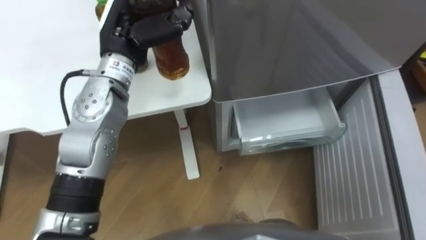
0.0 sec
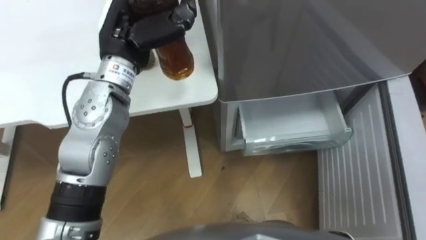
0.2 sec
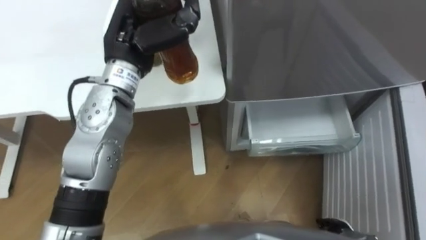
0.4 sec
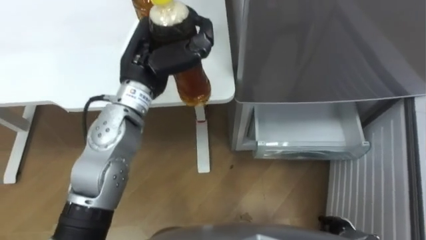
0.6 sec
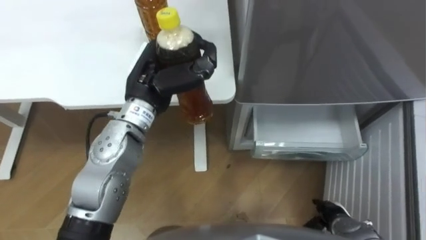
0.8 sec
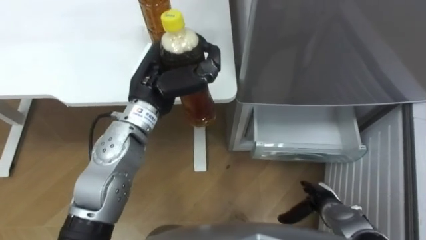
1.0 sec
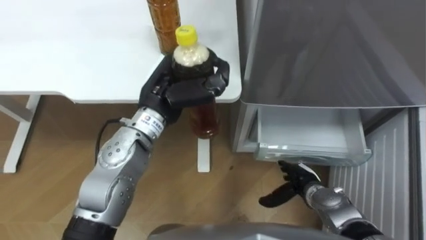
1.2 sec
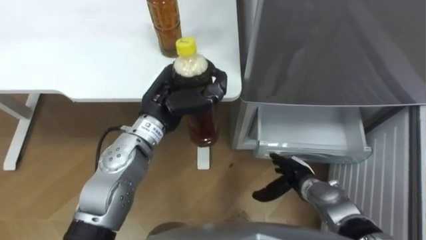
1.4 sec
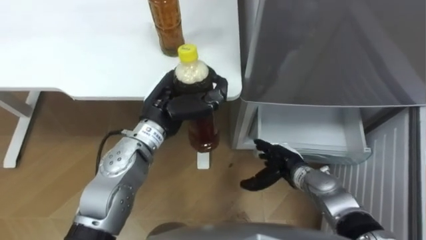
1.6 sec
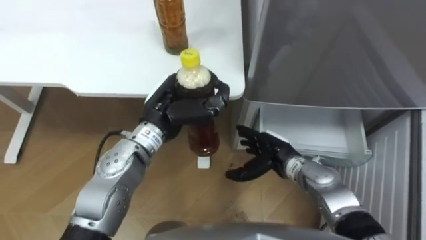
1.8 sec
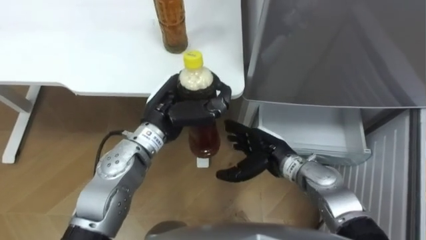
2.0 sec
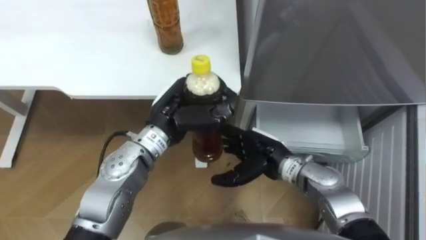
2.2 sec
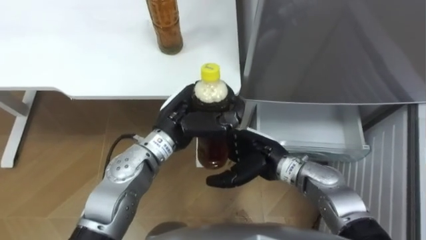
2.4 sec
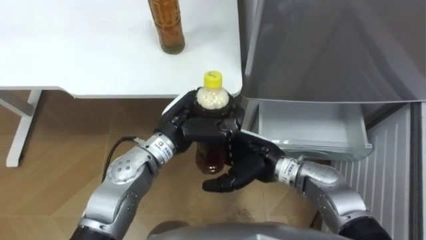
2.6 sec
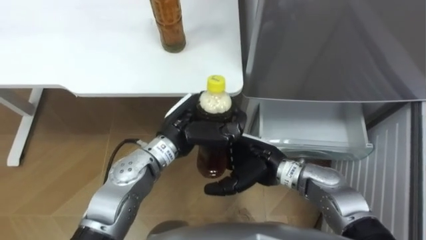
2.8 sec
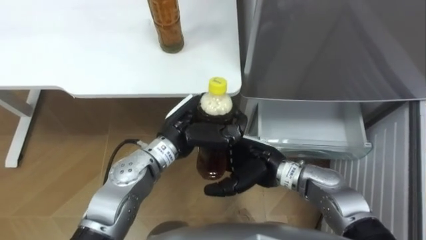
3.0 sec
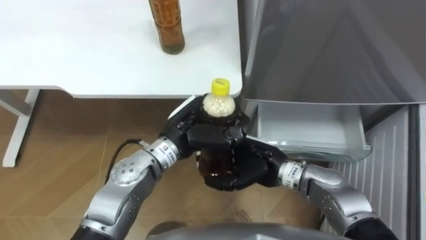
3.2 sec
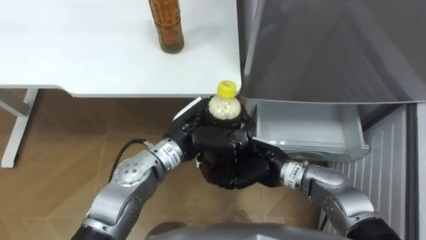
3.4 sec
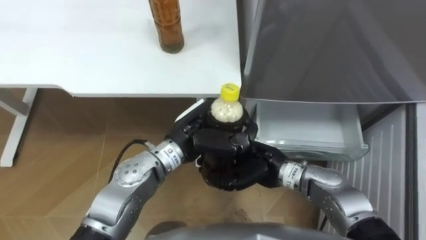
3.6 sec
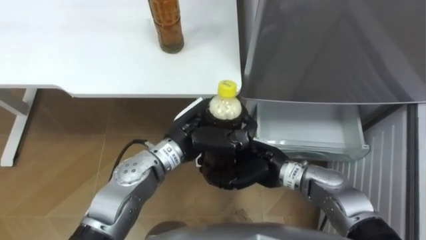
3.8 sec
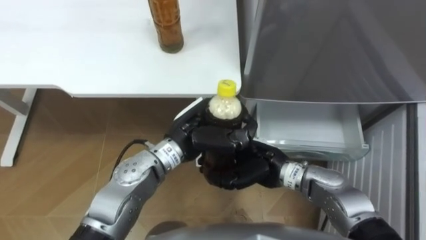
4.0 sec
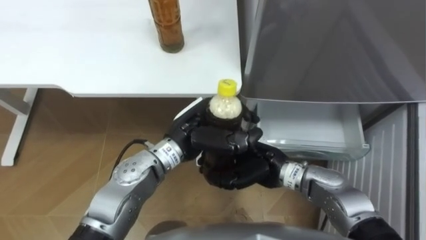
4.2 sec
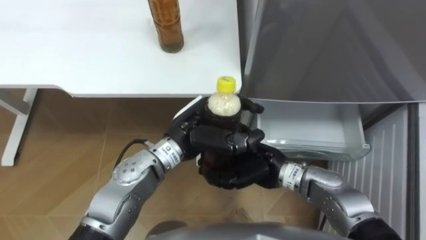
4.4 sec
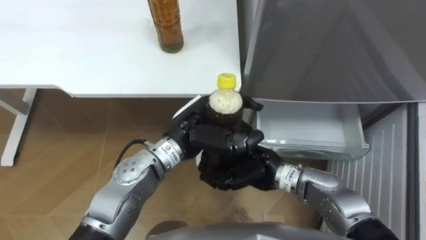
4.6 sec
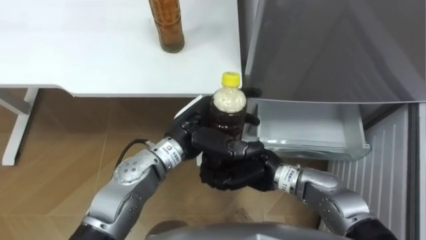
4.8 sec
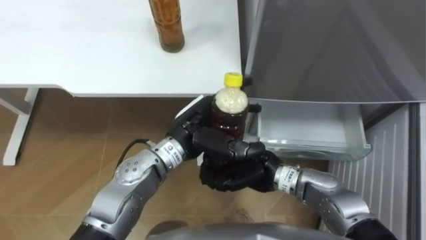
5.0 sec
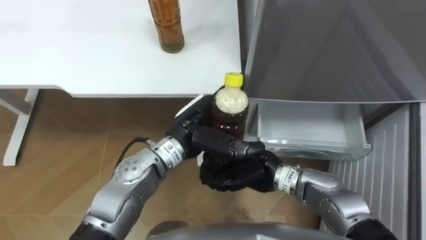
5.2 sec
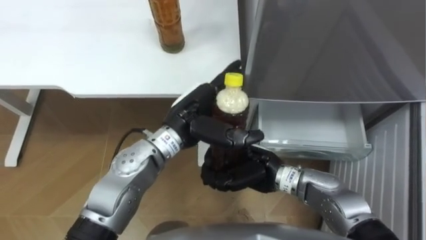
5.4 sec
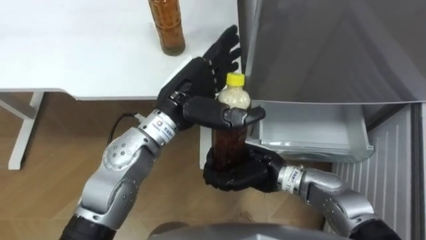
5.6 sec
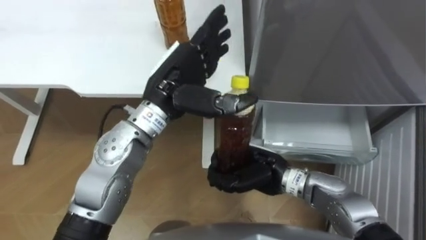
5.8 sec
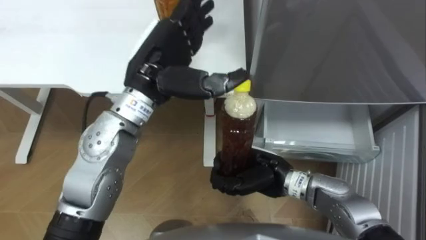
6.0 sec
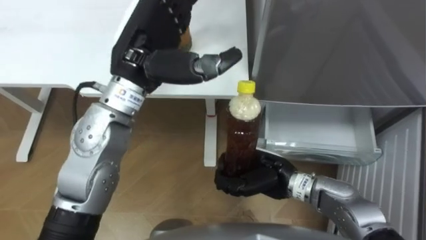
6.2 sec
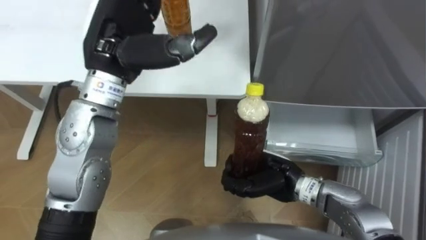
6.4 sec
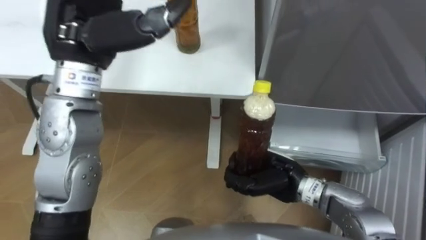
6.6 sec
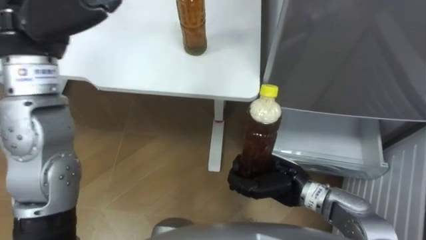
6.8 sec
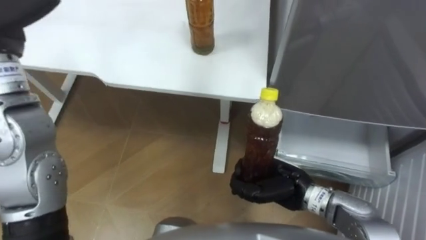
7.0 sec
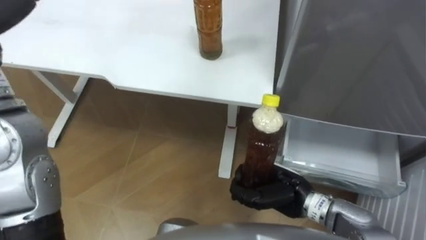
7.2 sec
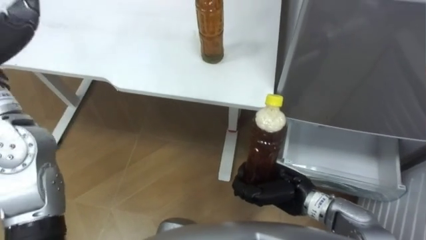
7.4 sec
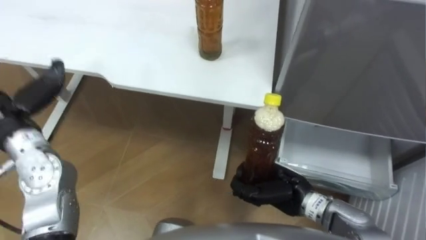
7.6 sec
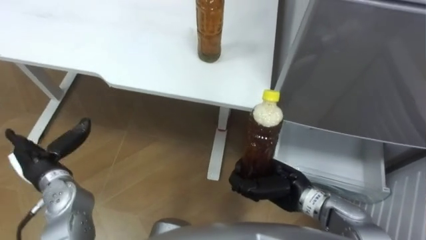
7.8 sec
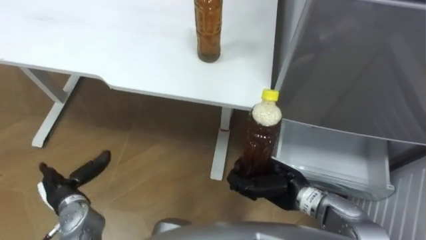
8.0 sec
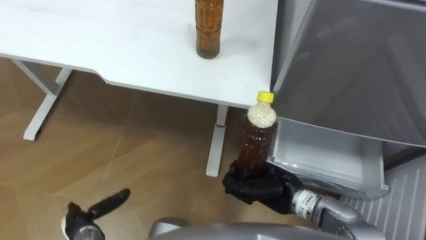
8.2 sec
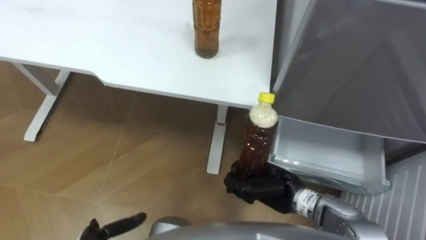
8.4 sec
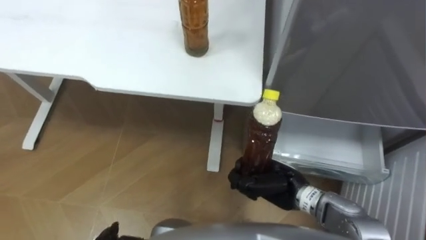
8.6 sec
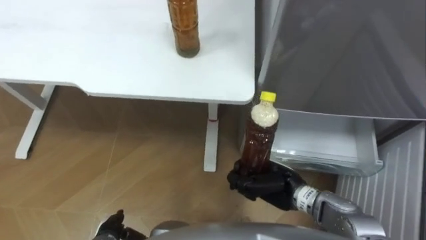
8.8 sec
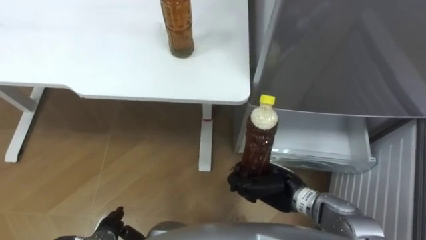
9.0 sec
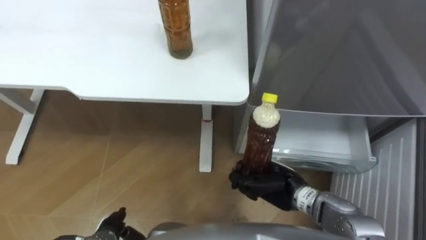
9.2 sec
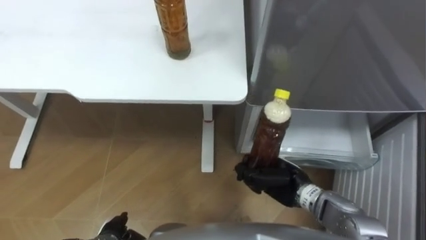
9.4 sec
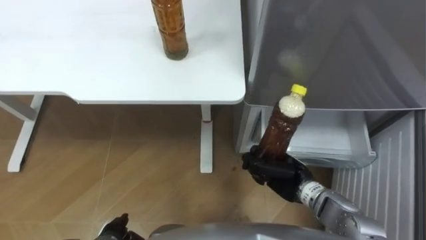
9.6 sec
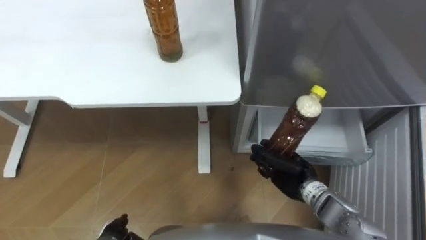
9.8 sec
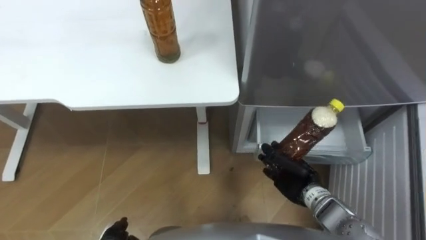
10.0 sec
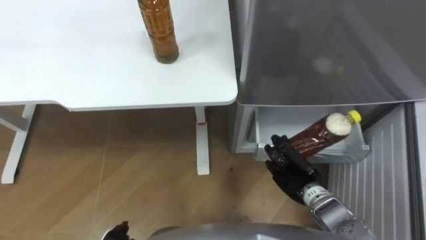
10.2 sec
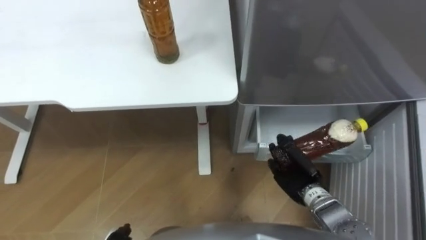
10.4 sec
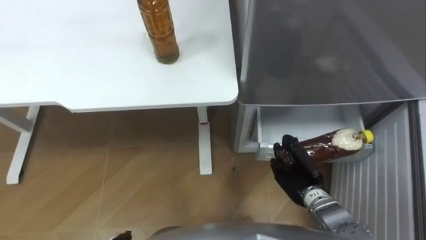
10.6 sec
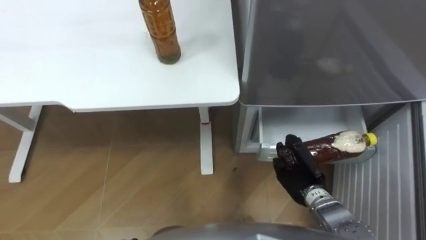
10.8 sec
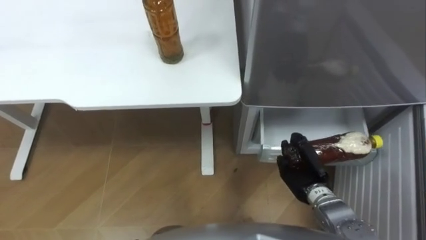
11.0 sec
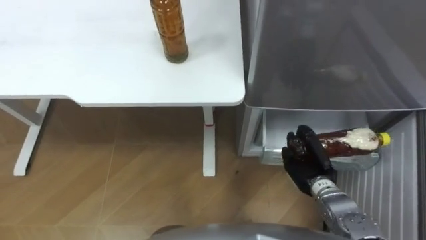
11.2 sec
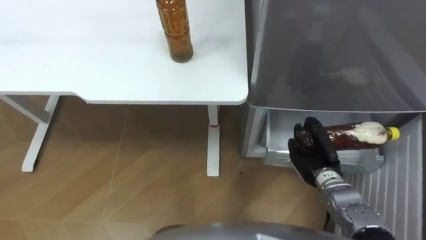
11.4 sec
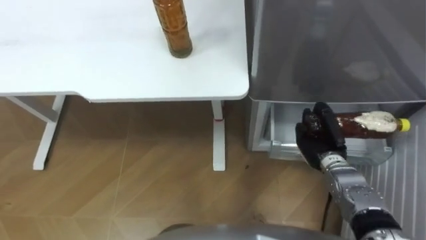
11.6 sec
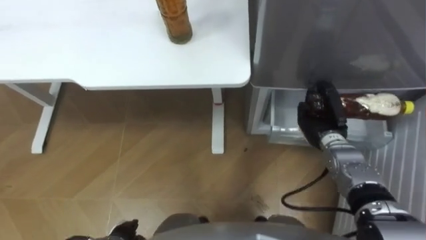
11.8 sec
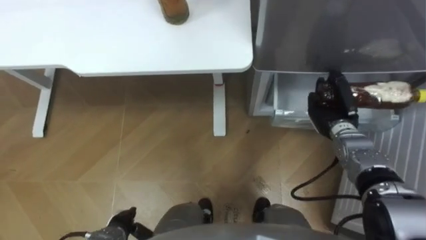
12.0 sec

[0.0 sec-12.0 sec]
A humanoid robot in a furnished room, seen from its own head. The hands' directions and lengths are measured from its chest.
Task of the whole recording: Place the drink on the table on the bottom shelf of the refrigerator, then close the drawer and the refrigerator door.
0.0 sec to 1.6 sec: The left hand travels downward, backward and to the right by some 10 cm.
1.6 sec to 3.0 sec: The left hand moves some 5 cm. Meanwhile the right hand travels upward and to the left by roughly 15 cm.
3.0 sec to 4.4 sec: The right hand closes up.
4.4 sec to 6.0 sec: The left hand shifts some 10 cm upward, and opens up.
6.0 sec to 7.6 sec: The right hand shifts by some 5 cm.
9.0 sec to 10.4 sec: The right hand heads to the right, covering roughly 5 cm.
10.4 sec to 12.0 sec: The right hand travels forward and to the right by some 15 cm.

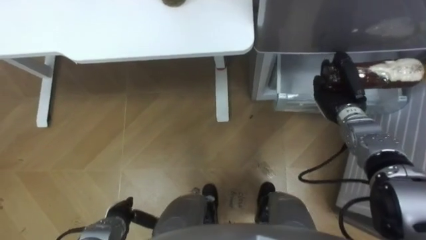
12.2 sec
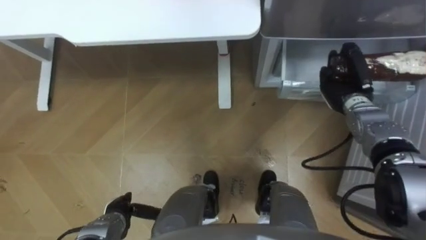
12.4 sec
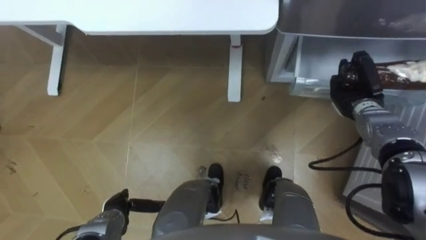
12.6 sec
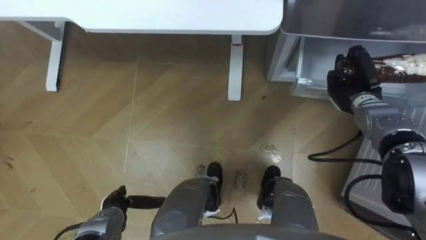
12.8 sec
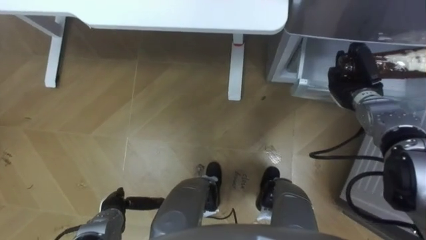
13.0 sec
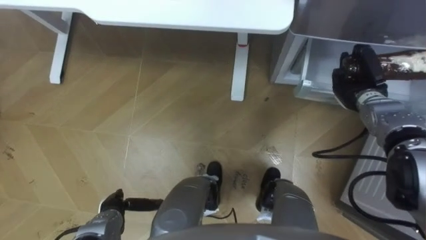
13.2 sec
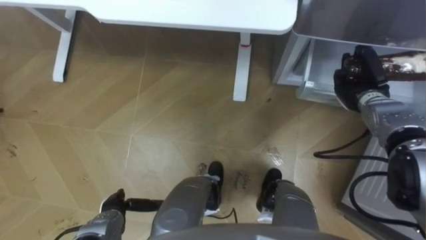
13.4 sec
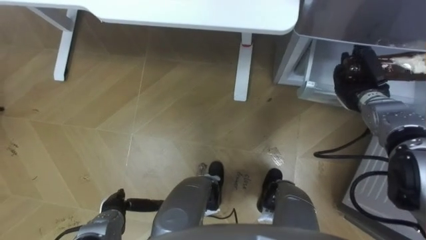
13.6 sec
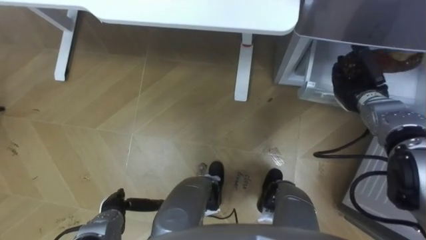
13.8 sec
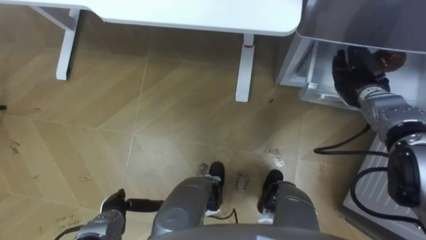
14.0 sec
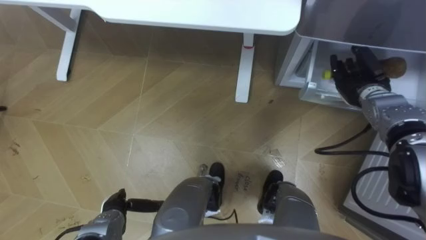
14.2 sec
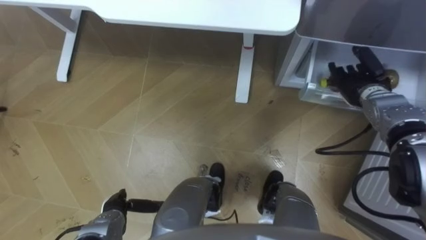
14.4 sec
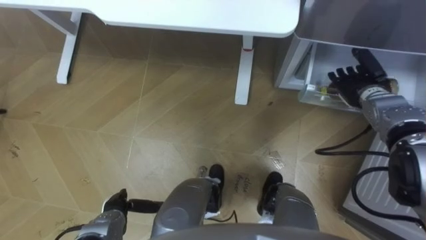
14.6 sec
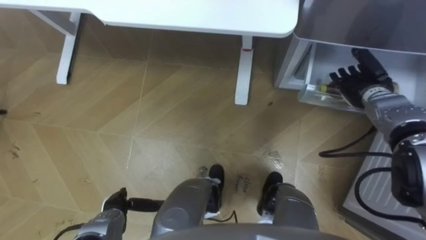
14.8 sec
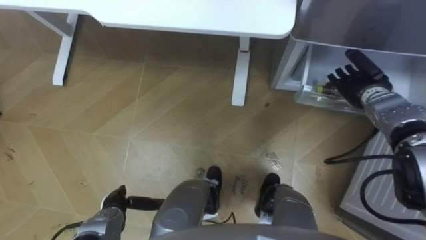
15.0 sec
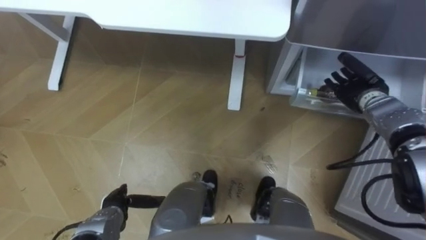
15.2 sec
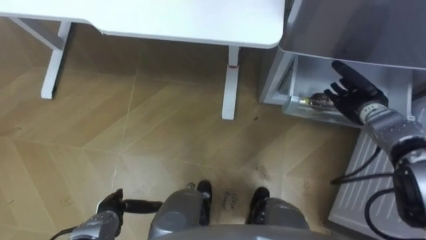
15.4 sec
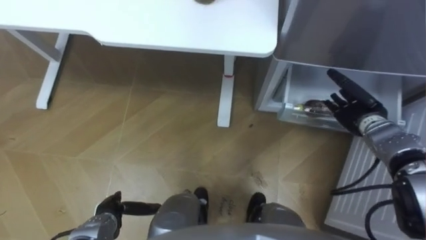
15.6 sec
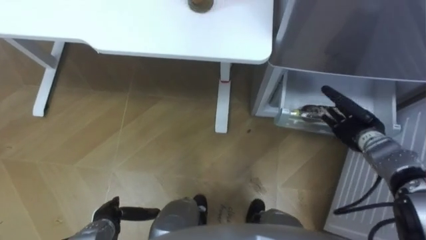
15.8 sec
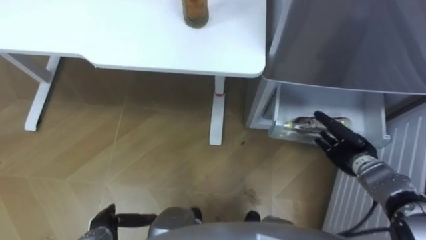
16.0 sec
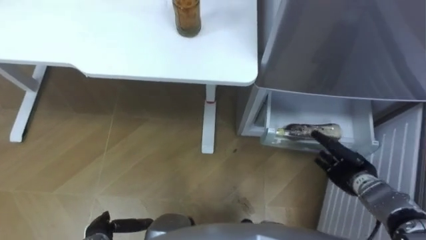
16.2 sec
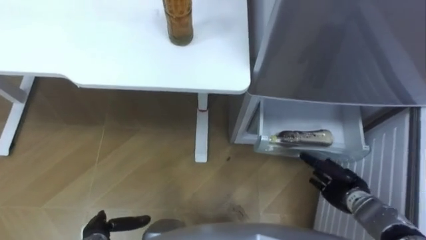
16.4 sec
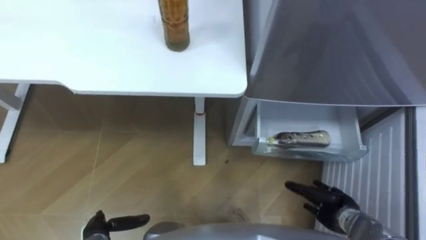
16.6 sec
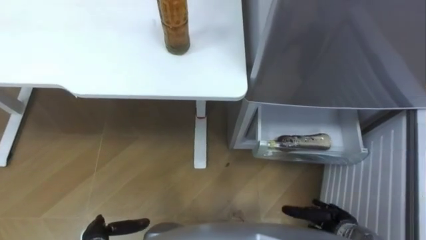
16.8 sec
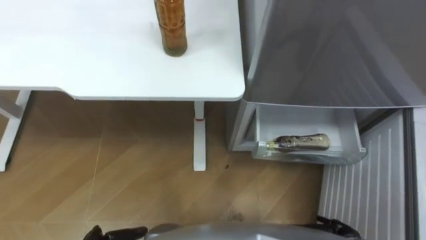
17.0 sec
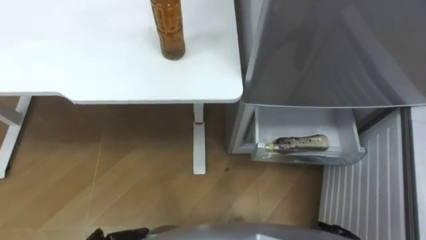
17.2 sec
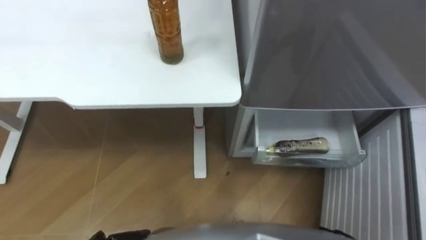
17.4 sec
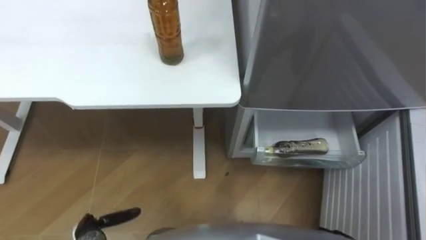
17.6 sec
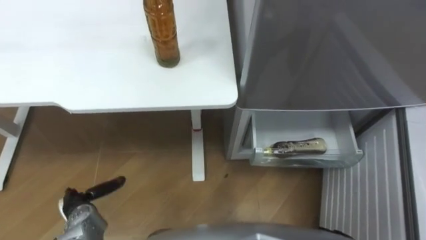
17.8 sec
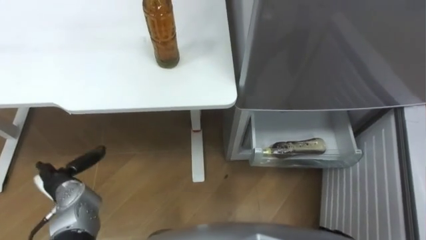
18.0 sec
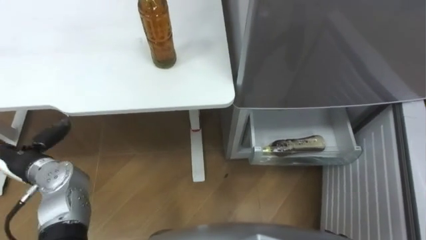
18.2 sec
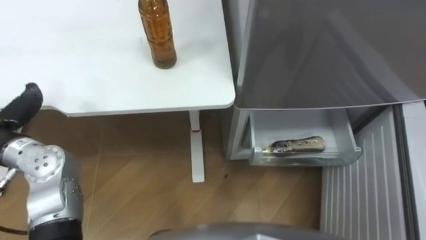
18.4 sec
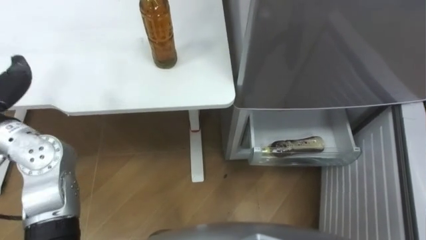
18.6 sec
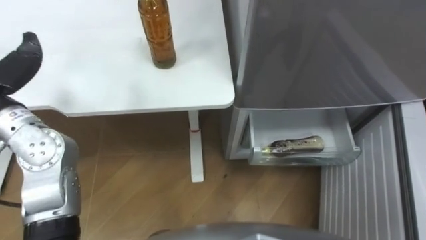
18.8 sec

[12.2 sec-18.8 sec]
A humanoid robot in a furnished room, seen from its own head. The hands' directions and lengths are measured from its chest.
Task of the whole recording: Place the drink on the table on the bottom shelf of the refrigerator, then close the drawer and the refrigerator door.
12.2 sec to 13.8 sec: The right hand changes place by roughly 5 cm.
13.8 sec to 15.4 sec: The right hand opens its fingers.
